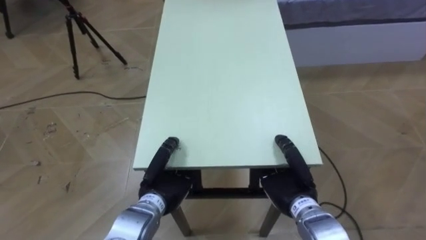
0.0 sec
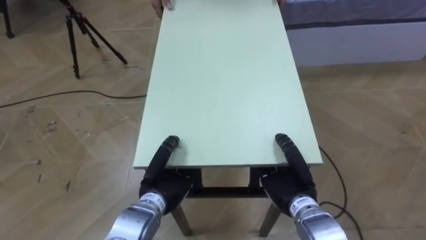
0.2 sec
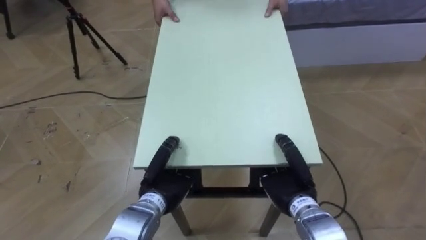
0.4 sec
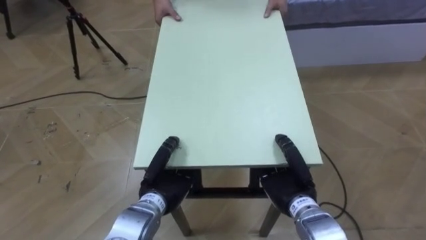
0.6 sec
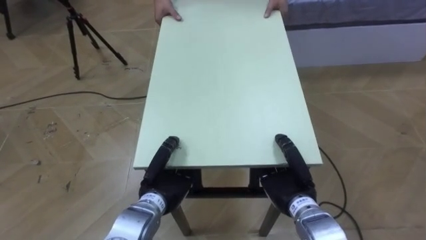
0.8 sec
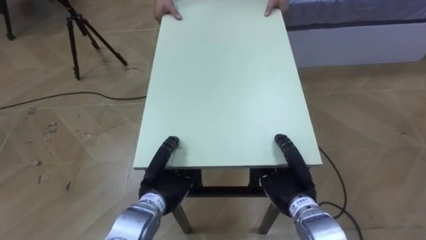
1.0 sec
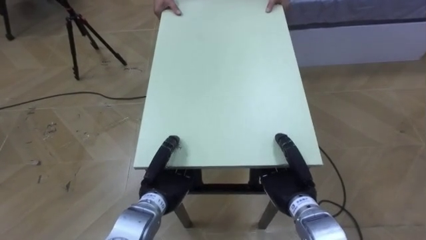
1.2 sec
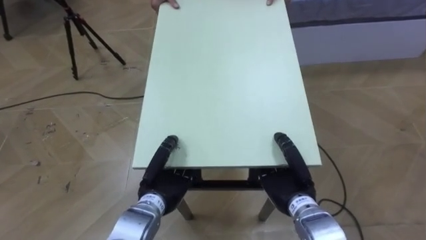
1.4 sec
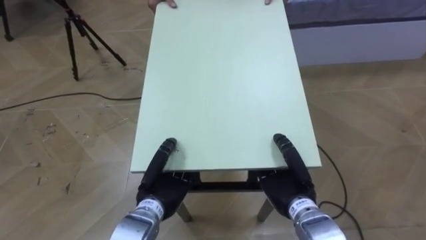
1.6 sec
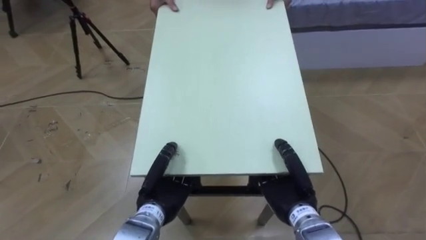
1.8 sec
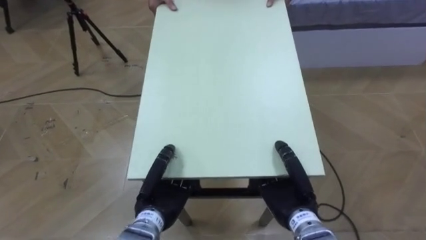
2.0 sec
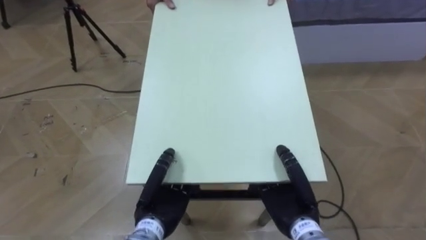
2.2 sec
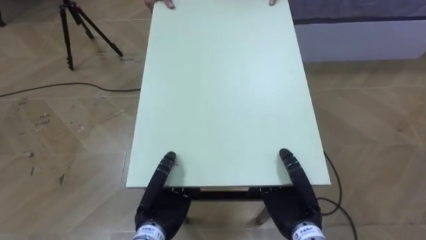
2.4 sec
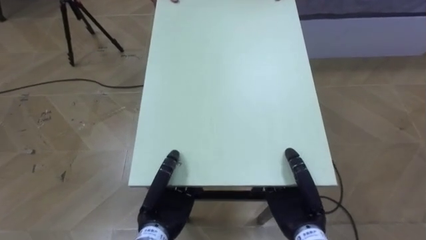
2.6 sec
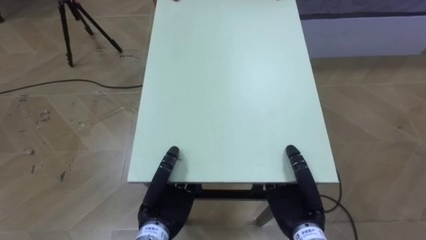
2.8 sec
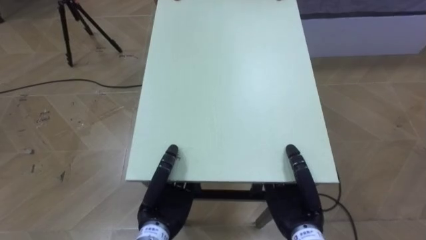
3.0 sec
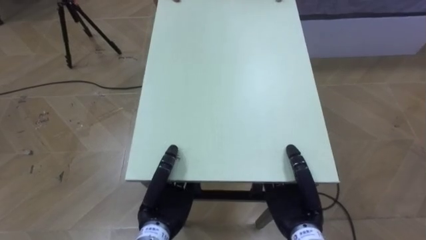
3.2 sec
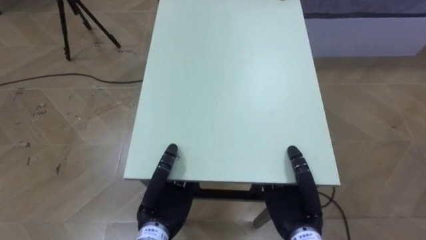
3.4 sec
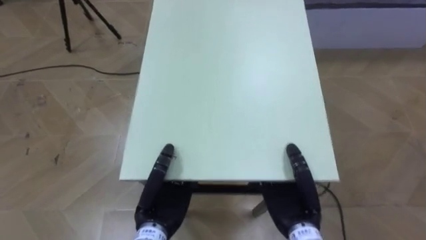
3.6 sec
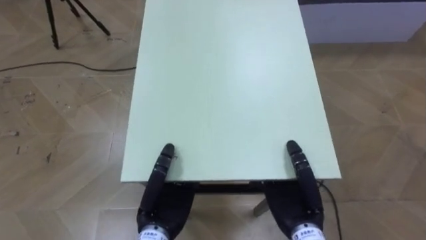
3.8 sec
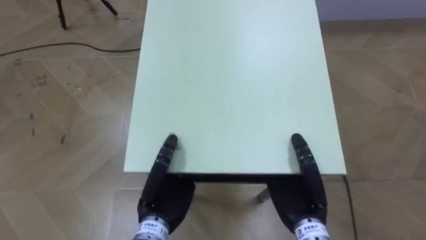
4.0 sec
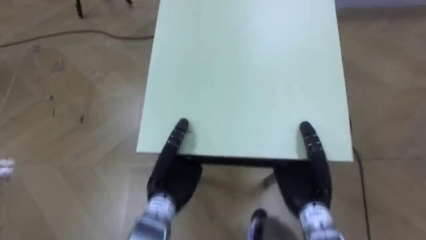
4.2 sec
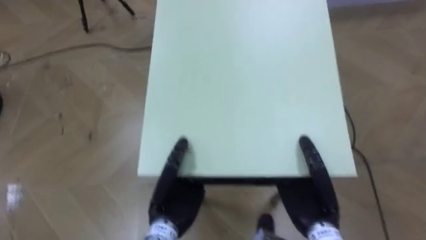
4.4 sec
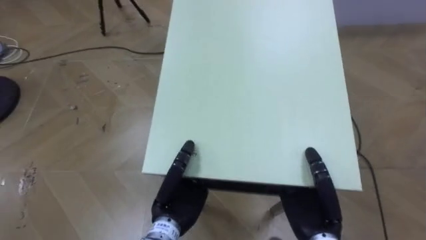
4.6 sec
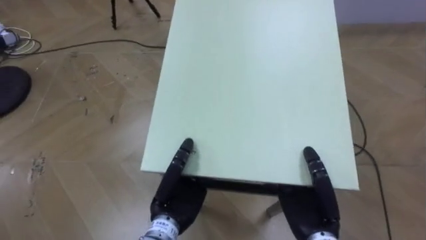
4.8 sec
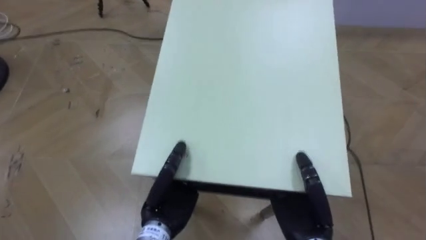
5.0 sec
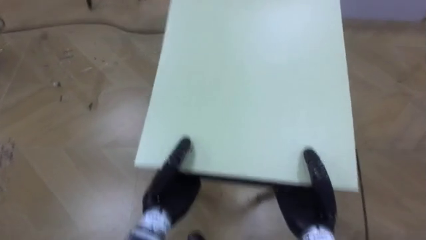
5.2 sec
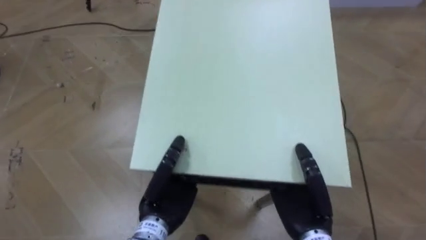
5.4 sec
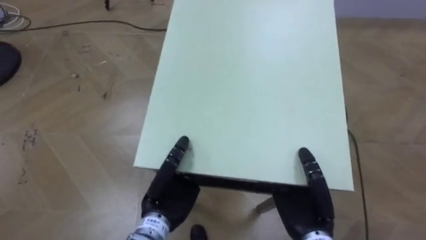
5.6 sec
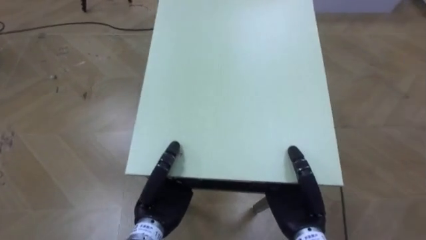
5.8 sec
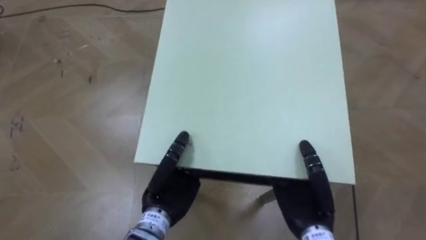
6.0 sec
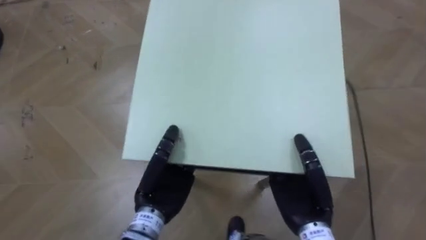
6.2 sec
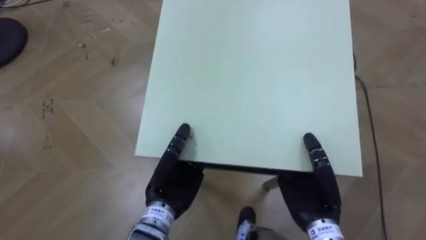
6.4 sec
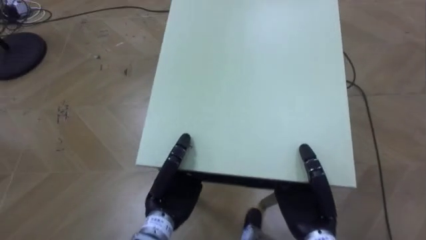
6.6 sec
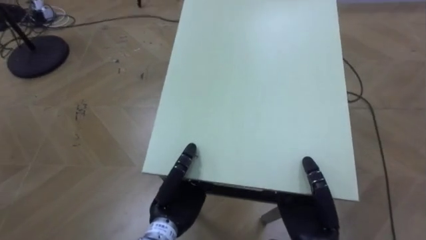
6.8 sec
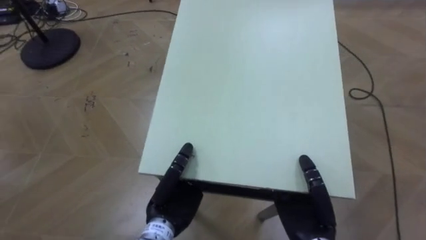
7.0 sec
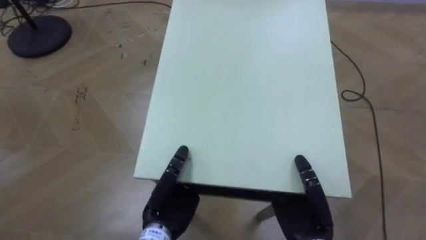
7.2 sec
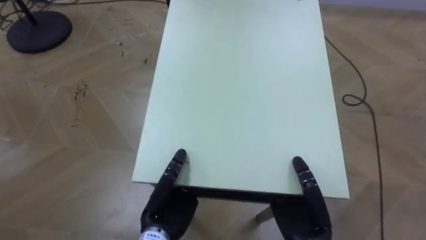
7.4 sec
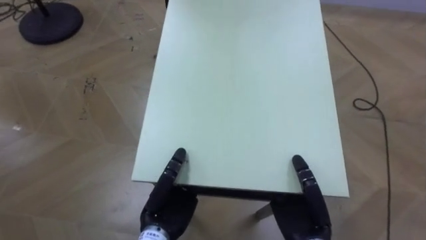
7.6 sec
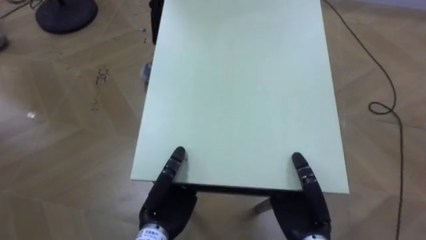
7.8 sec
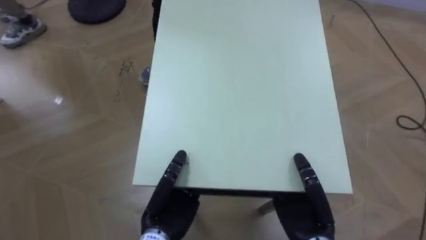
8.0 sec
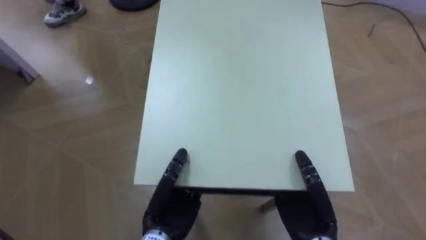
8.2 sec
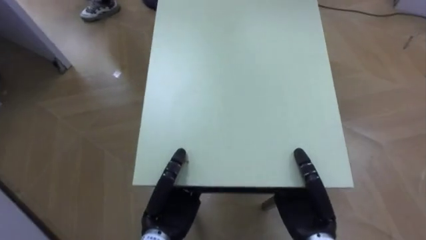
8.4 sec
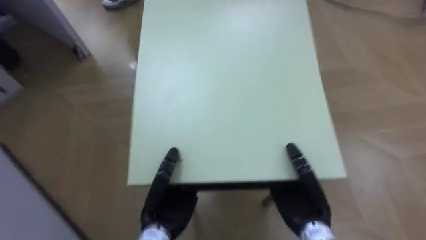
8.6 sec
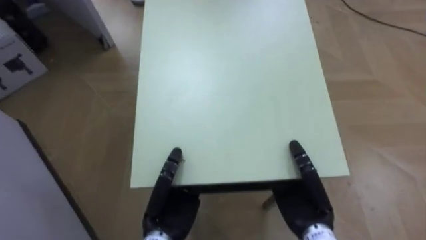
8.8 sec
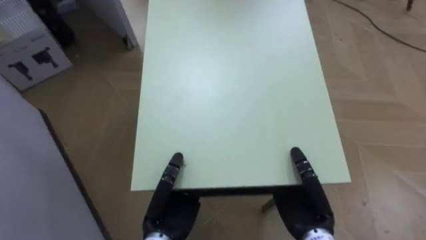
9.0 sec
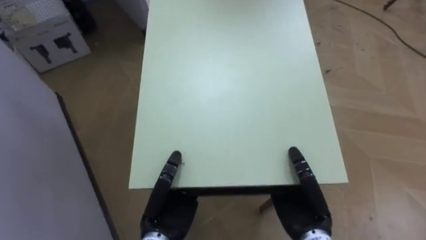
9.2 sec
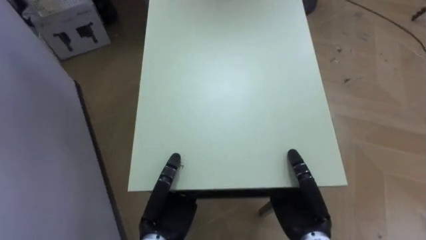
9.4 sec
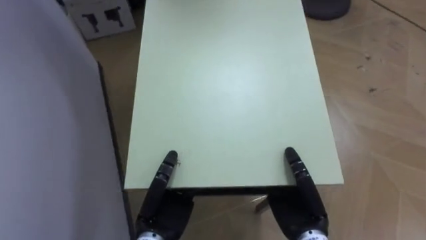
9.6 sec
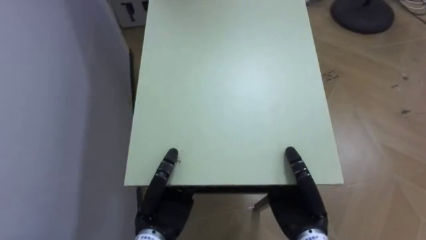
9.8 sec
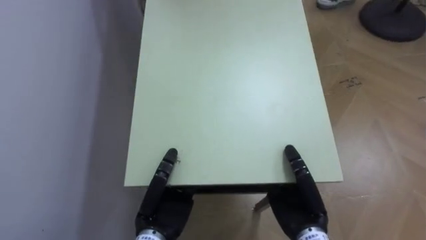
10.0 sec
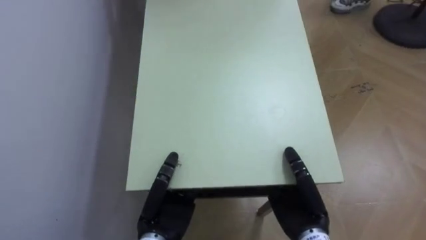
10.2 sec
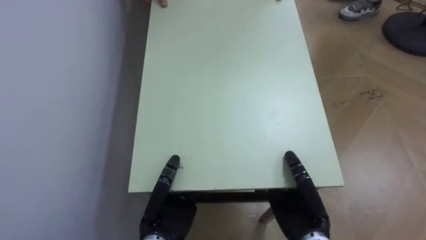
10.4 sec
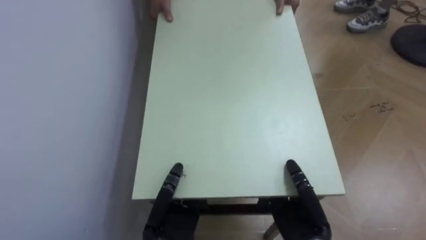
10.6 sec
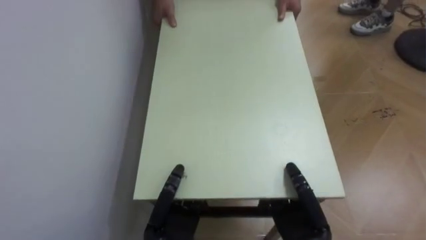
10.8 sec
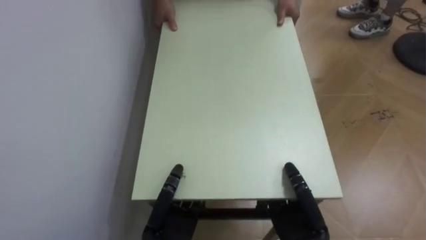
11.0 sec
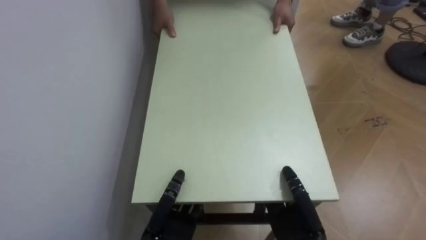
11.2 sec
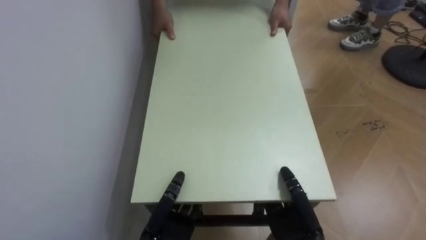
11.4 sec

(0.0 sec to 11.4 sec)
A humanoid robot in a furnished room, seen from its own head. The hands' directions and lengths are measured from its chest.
Task of the whole recording: Move the table to the back left with someone.
0.0 sec - 1.4 sec: Both hands stay about where they are.
7.2 sec - 8.6 sec: The robot turns to its left by roughly 35 degrees.
8.6 sec - 10.0 sec: The robot faces roughly 45 degrees further to its left.
10.0 sec - 11.4 sec: The right hand ends up approximately 5 cm from where it was; the left hand shifts by roughly 5 cm.

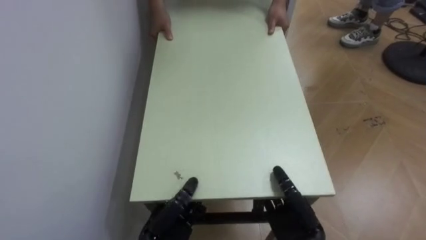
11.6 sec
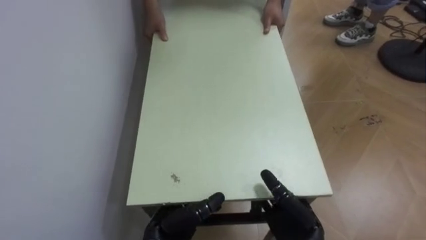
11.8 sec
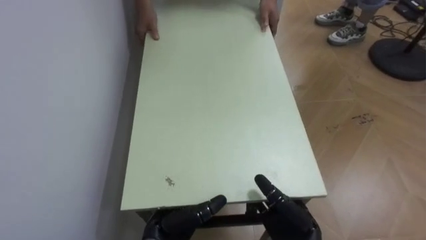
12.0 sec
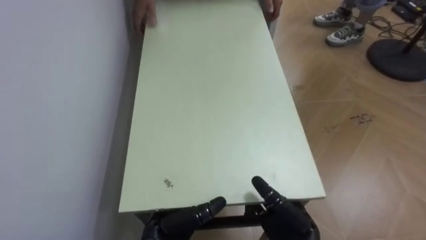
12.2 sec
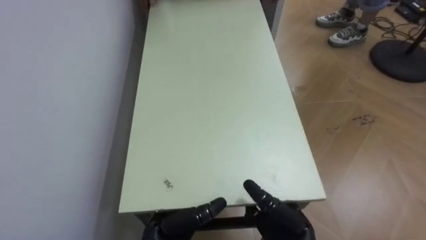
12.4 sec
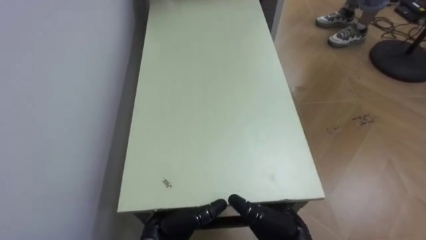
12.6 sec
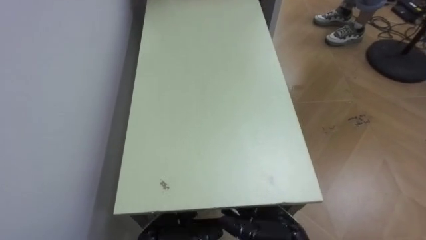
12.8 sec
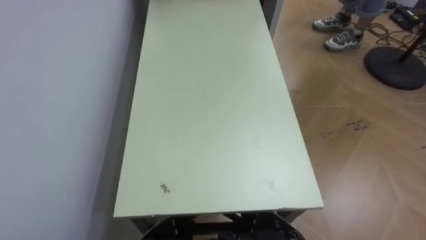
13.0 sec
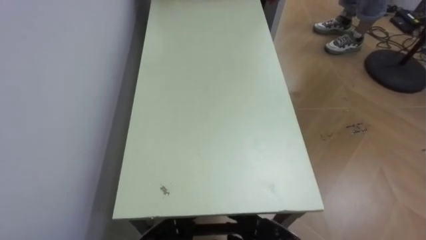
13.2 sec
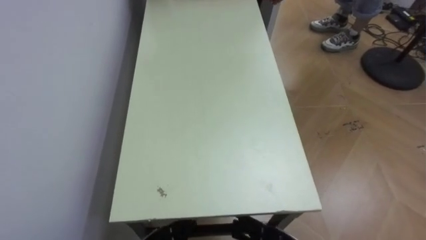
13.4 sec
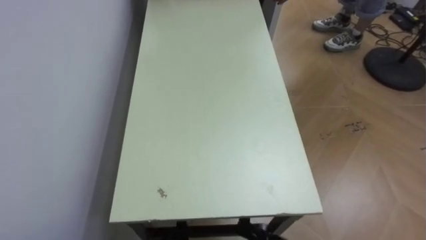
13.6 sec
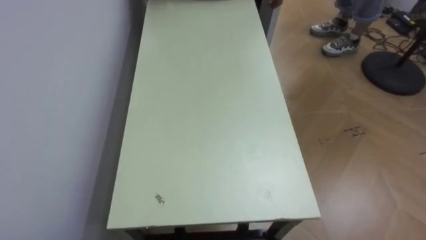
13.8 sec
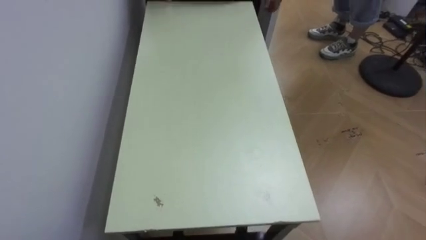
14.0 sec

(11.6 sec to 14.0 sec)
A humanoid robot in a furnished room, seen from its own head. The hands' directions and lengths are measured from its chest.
Task of the whole recording: Move the table to the back left with someone.
11.6 sec - 12.8 sec: The right hand opens; the left hand opens.

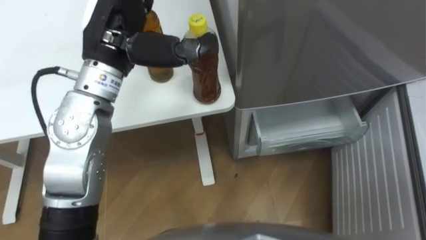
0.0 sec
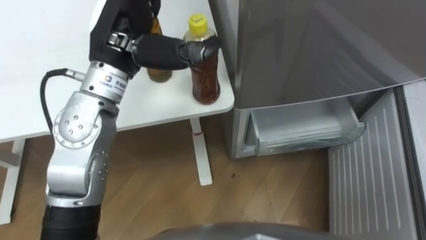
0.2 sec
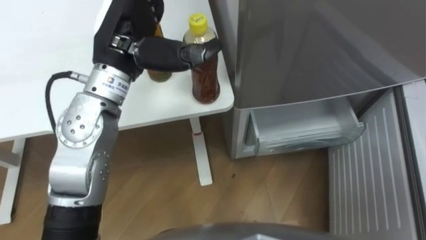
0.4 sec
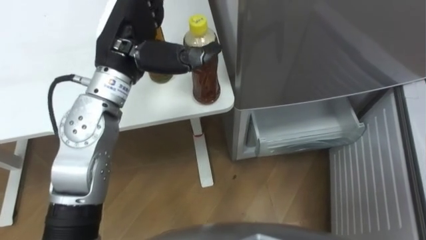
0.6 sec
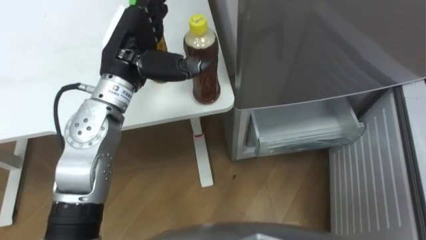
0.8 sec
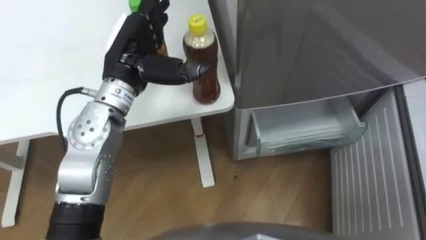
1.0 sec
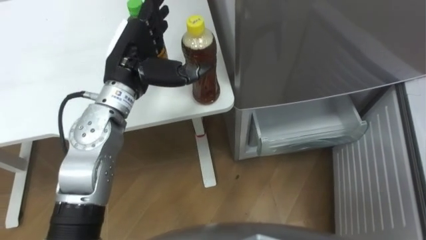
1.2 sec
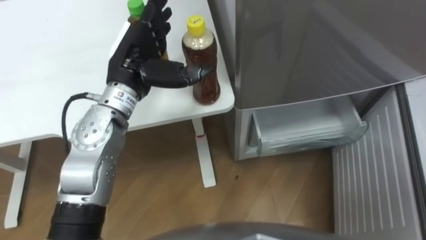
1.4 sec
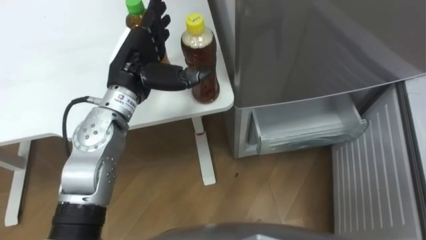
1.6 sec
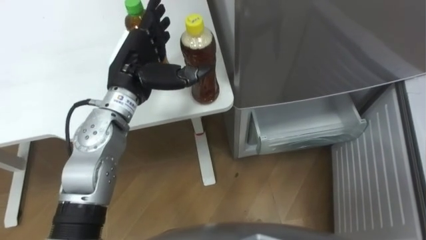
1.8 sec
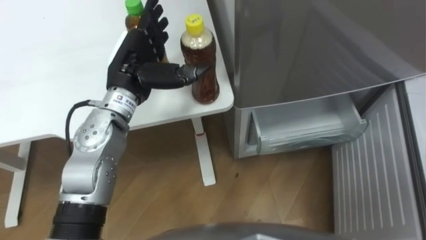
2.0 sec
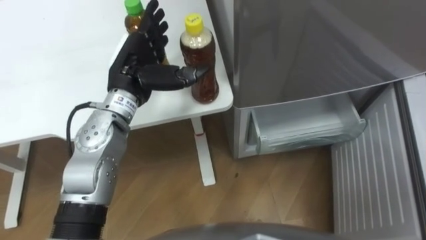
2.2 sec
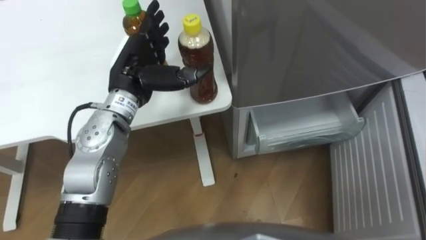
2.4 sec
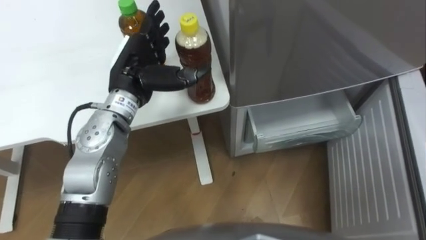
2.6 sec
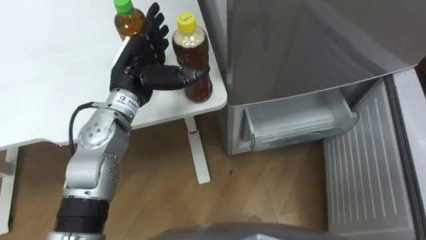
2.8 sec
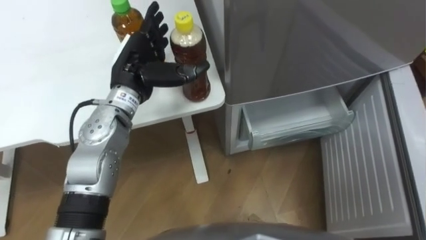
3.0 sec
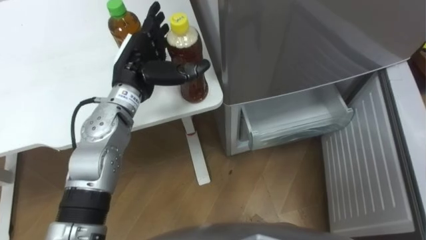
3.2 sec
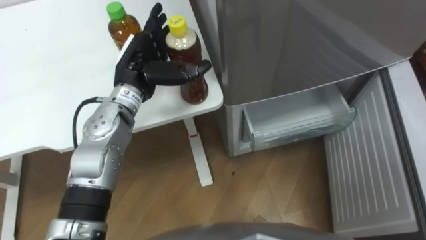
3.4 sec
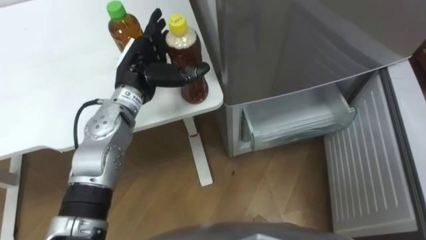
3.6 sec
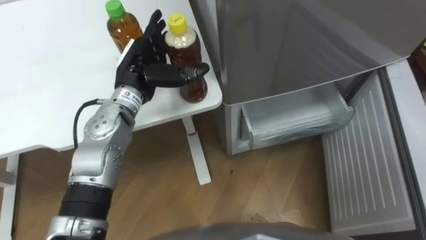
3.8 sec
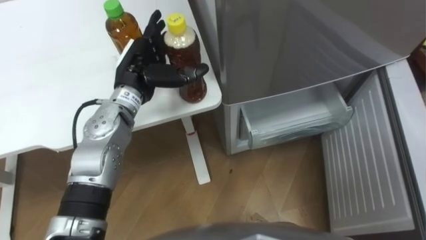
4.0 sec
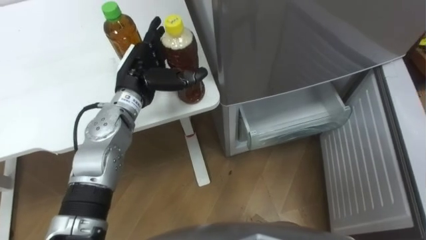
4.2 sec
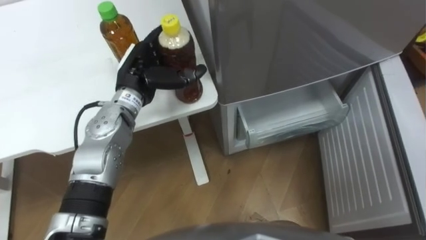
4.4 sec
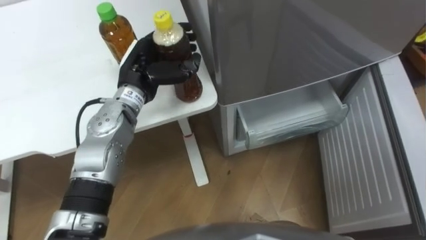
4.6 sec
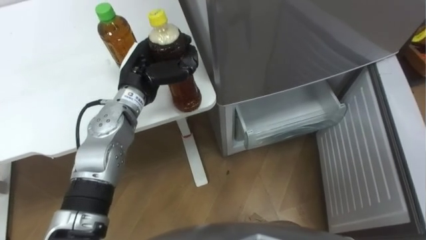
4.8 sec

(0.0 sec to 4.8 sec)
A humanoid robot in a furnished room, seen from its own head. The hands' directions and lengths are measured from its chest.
Task of the whole recording: Place the drink on the table on the bottom shelf of the refrigerator, then close the drawer and the refrigerator door.
0.0 sec - 1.6 sec: The left hand moves downward, roughly 10 cm.
3.2 sec - 4.8 sec: The left hand closes up.
